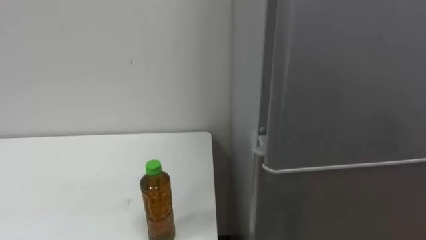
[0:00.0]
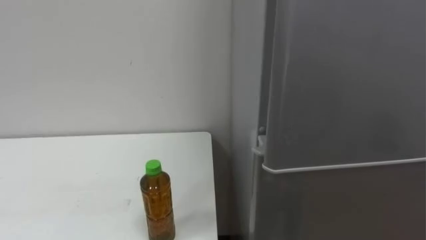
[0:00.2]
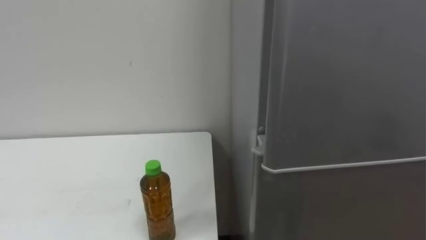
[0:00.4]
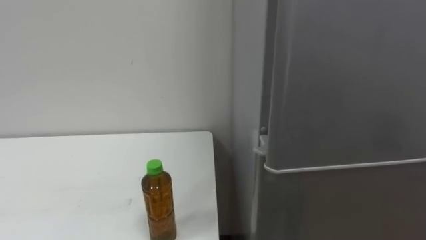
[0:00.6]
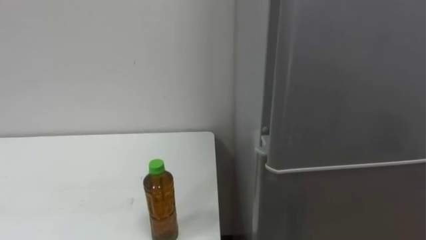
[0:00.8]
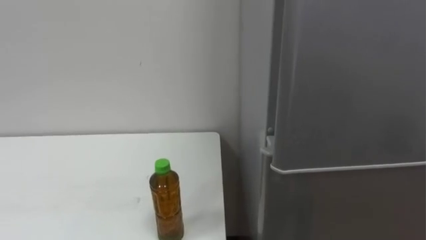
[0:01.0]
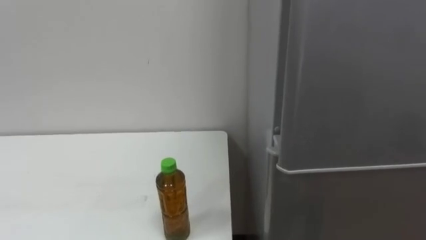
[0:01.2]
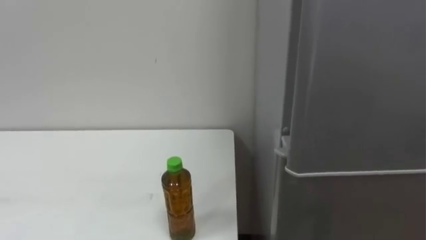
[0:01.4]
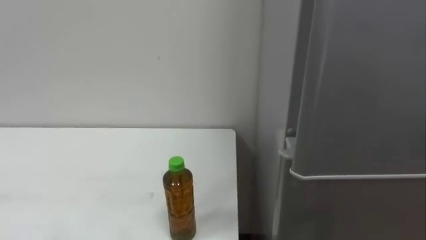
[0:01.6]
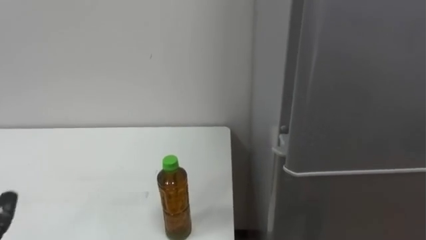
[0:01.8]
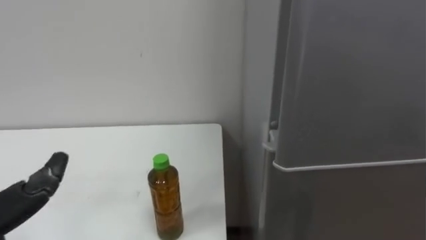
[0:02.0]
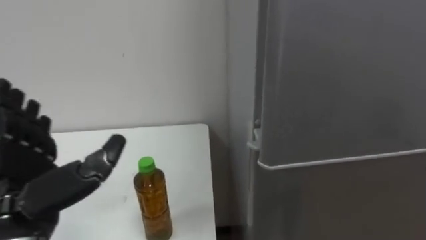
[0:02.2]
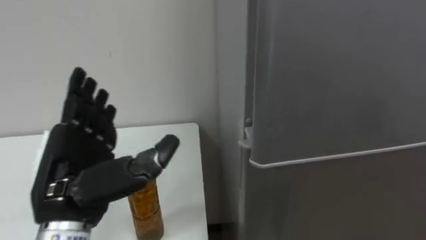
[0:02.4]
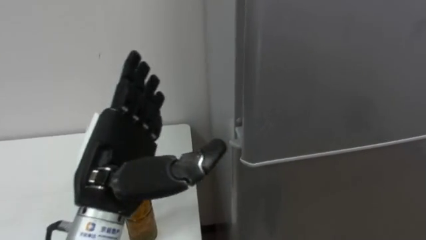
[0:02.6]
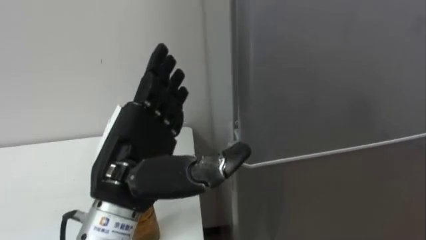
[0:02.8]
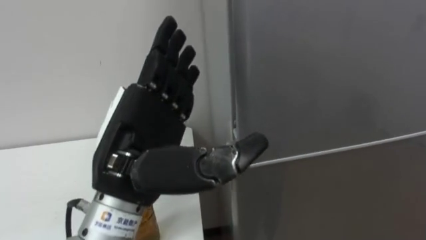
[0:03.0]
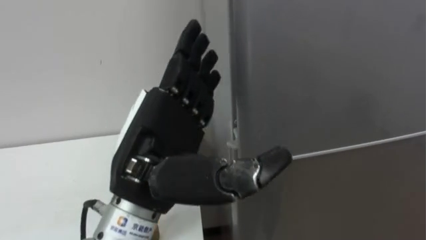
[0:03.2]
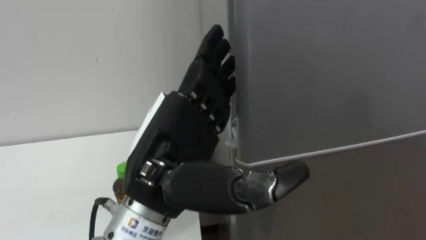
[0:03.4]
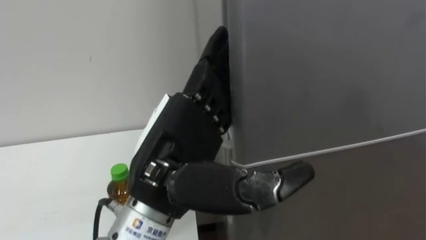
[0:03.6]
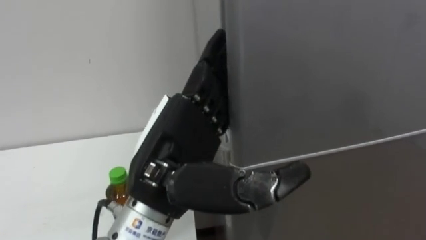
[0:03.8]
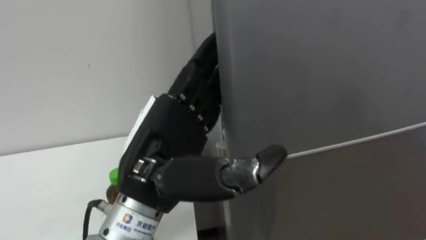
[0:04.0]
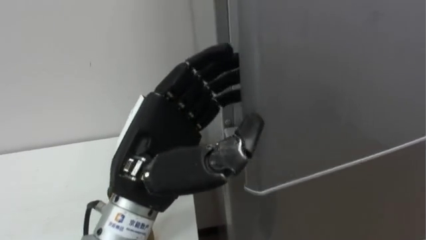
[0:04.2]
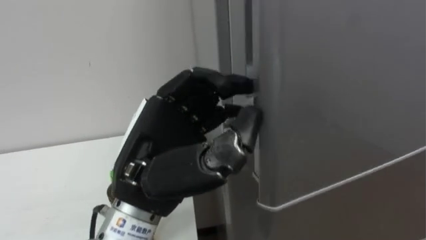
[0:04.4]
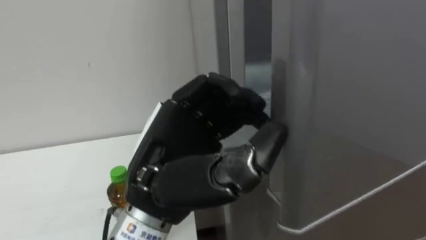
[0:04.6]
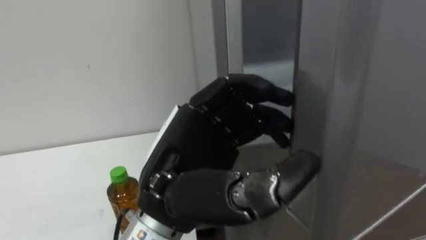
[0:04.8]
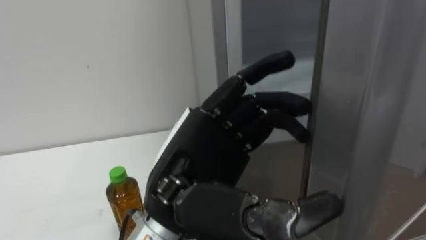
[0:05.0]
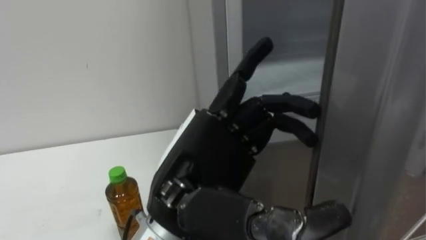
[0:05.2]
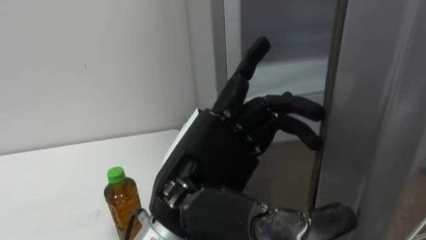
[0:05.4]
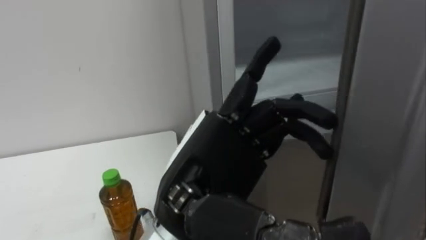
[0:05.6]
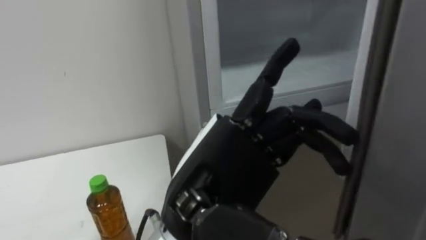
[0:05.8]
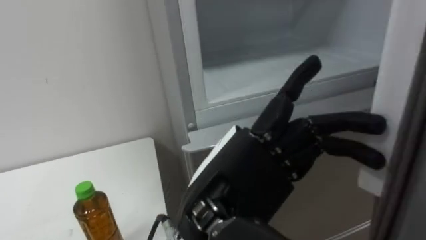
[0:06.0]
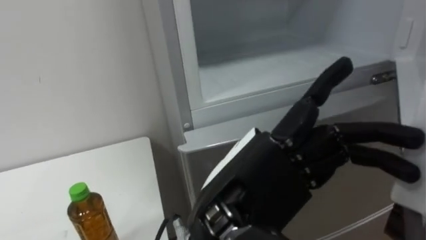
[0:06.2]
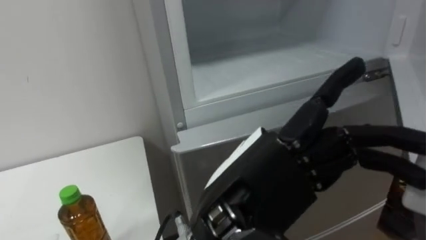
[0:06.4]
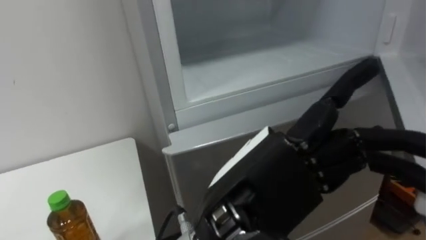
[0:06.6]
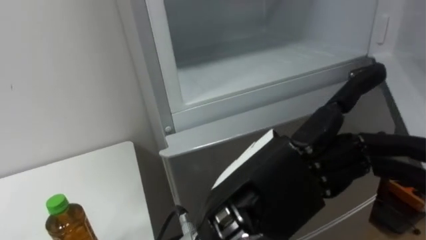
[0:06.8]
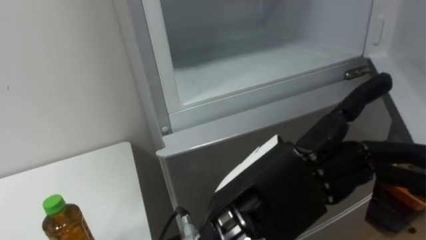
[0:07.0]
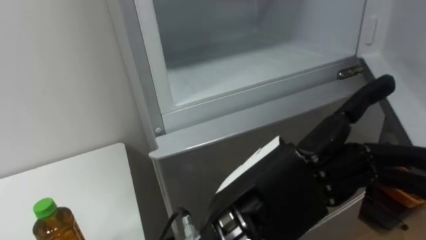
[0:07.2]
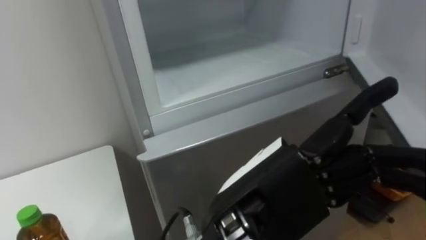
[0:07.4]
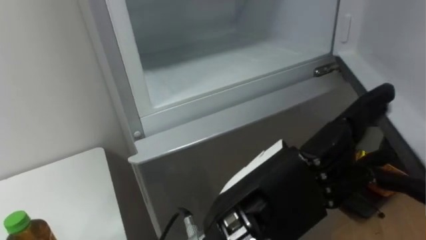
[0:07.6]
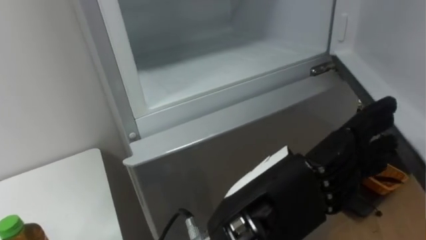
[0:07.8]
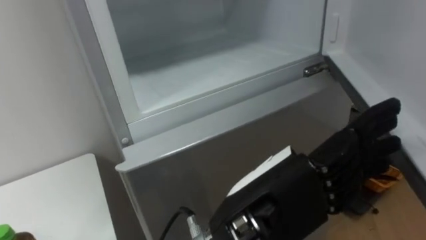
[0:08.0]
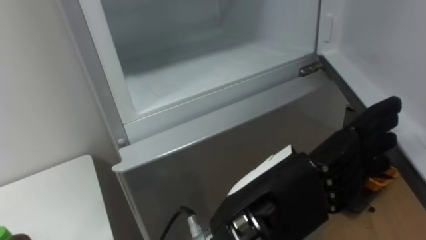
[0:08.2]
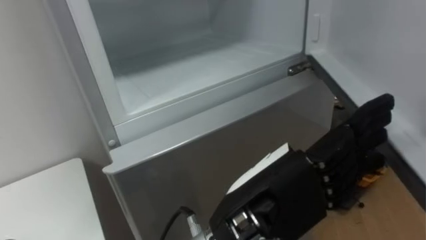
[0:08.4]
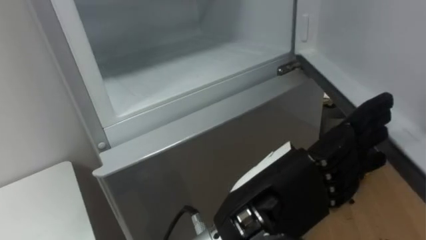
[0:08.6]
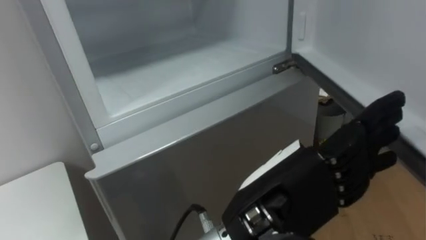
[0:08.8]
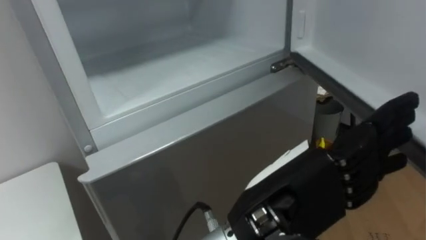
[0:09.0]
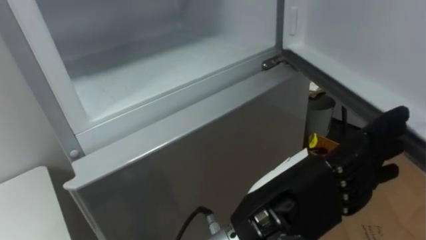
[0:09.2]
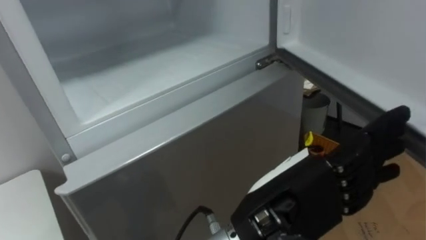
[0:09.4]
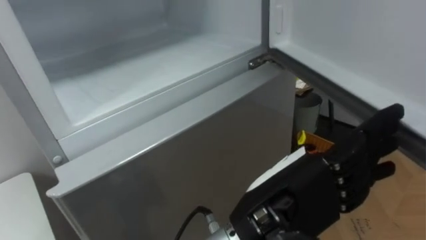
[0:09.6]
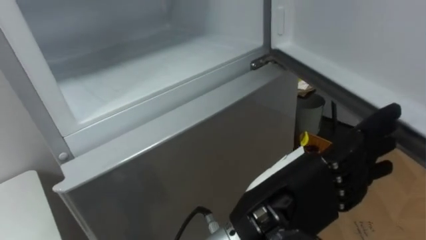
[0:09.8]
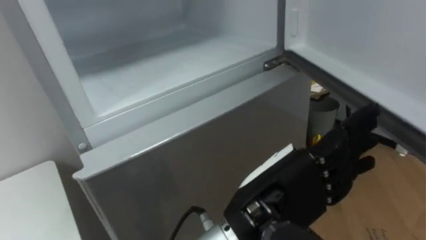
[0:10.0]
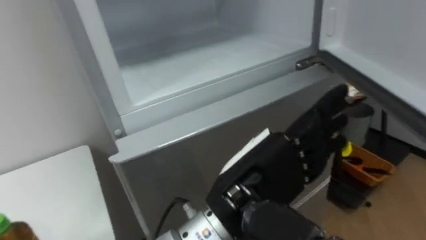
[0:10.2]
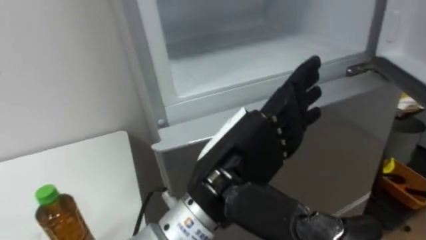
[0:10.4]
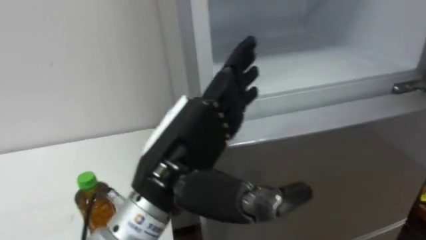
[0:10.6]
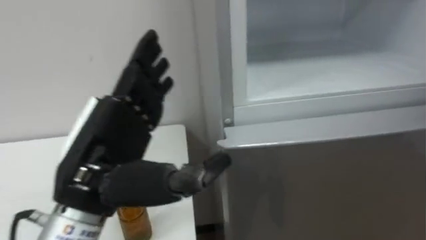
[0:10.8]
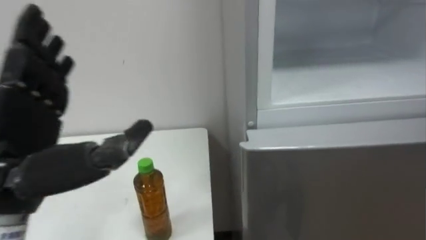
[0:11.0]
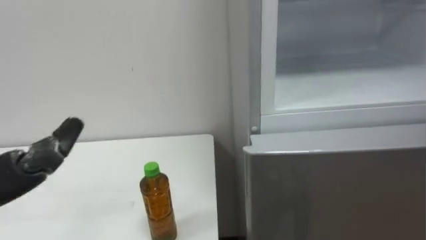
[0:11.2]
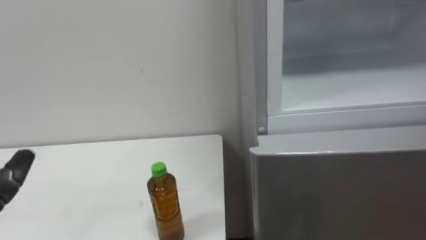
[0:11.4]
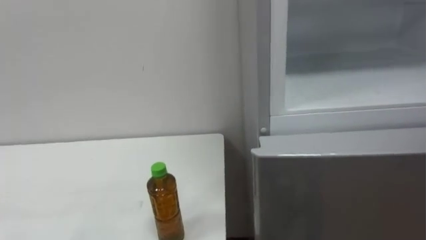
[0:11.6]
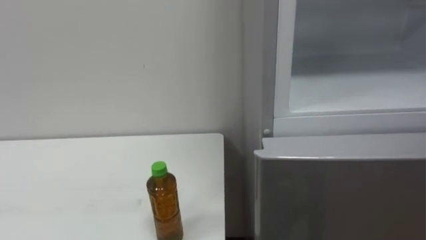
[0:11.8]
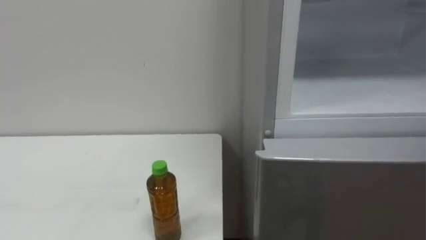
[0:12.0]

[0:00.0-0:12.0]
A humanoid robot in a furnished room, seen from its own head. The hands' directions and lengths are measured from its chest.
Task of the whole recording: Open the upper refrigerator door, put the drink from the table into the refrigerator, and then close the refrigerator door.
0:03.0 to 0:04.4: The left hand closes its fingers.
0:04.4 to 0:06.0: The left hand shifts about 5 cm to the right, and opens its fingers.
0:09.0 to 0:10.4: The left hand shifts by roughly 5 cm.

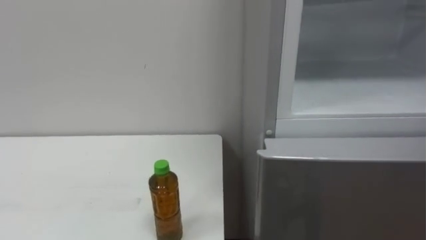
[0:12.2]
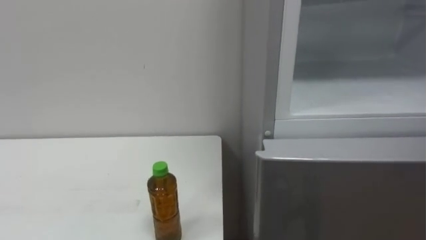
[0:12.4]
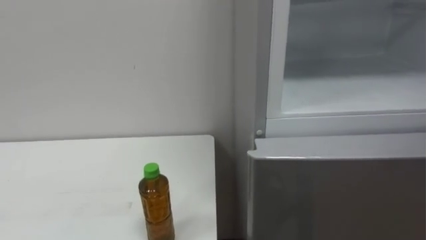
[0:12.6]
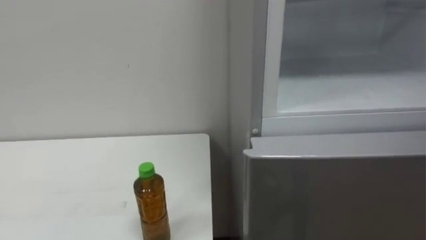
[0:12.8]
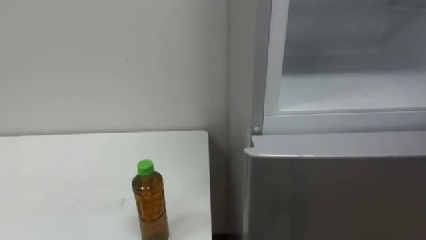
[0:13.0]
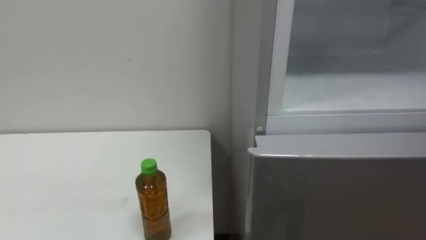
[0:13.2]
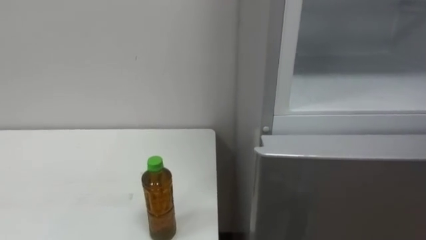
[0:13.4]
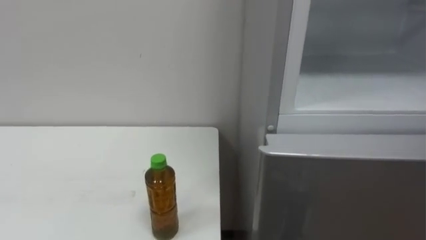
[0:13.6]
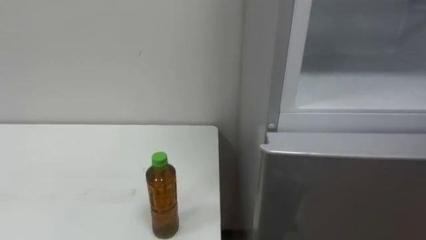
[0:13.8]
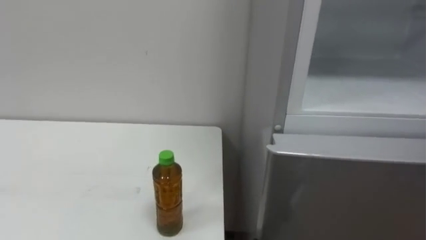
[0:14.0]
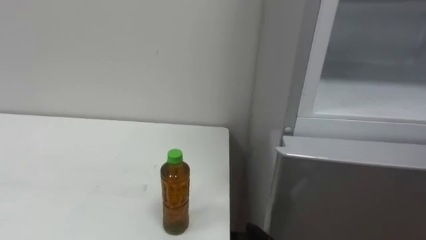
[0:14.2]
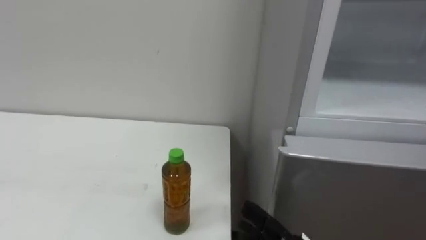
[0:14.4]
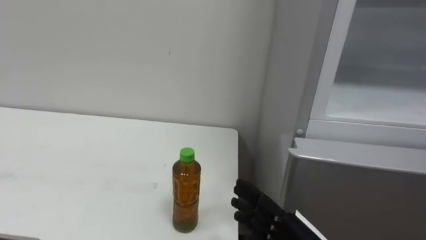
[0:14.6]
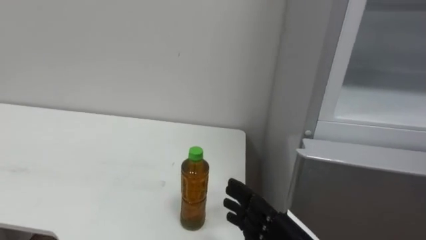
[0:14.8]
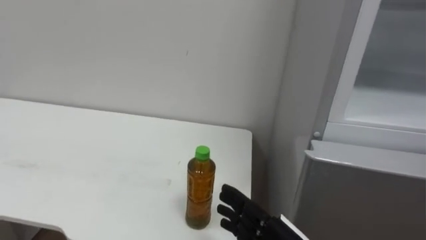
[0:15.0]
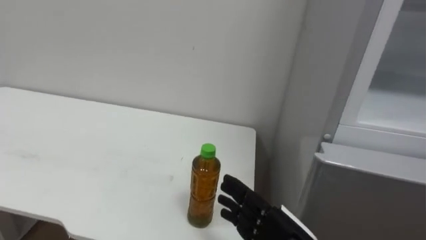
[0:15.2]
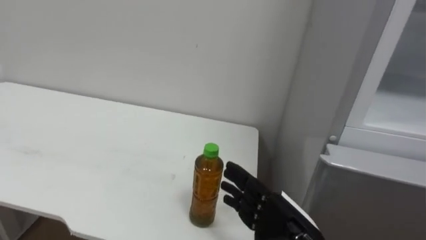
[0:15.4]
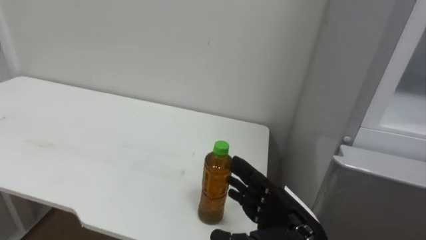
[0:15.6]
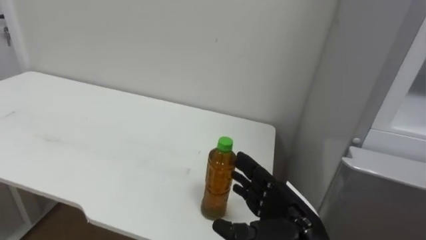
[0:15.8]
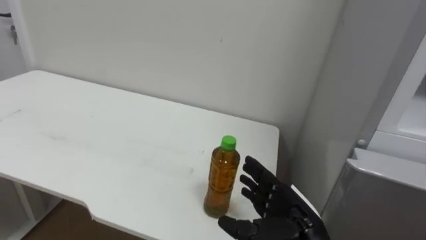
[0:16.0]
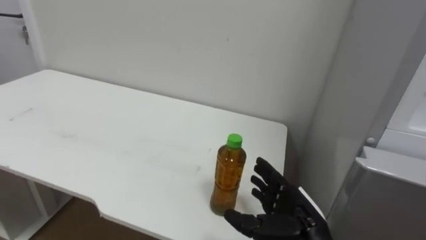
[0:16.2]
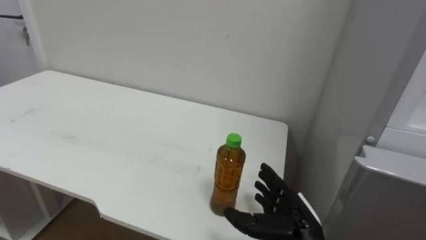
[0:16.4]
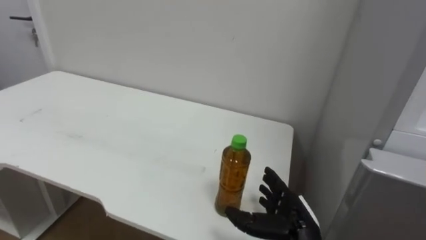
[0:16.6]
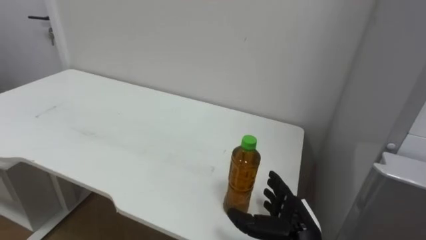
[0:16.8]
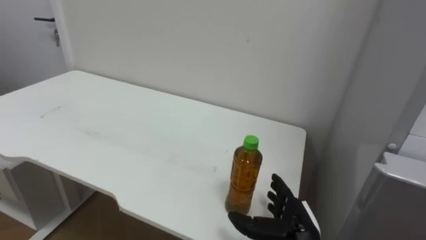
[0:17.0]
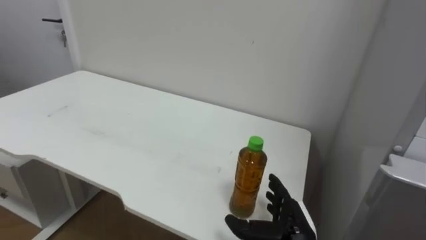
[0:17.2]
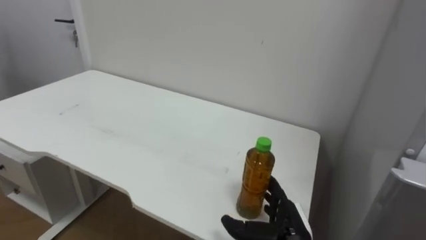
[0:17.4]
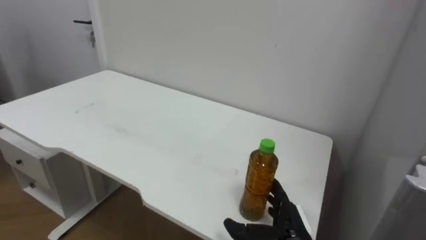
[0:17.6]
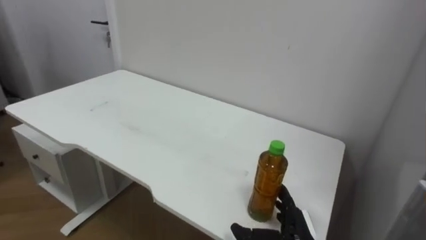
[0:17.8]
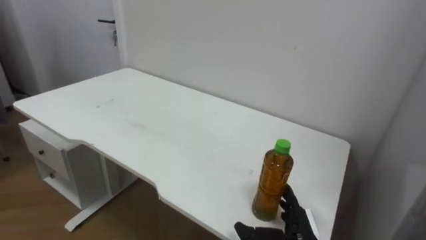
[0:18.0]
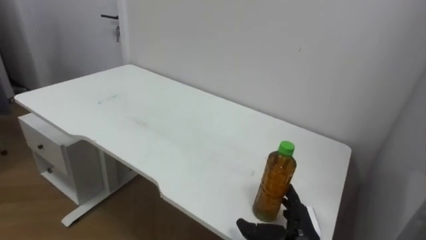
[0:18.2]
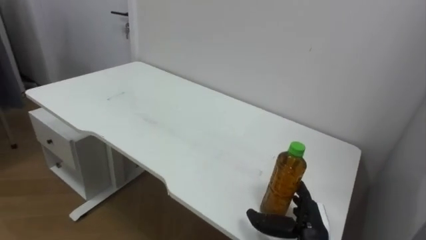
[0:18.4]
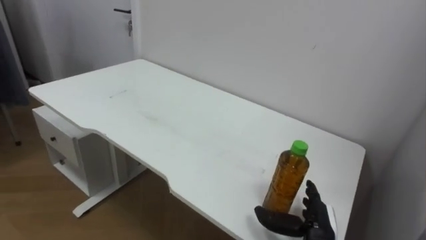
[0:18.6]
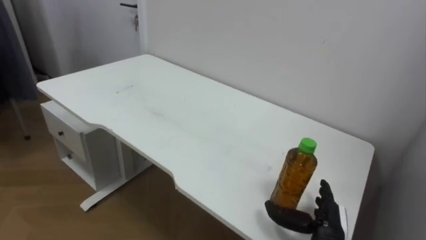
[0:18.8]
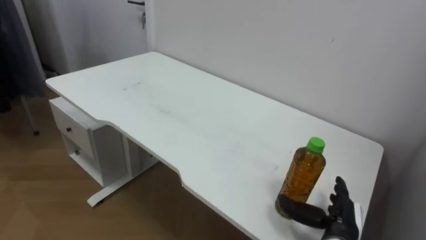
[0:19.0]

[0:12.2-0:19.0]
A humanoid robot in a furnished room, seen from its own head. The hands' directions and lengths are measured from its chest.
Task of the whole recording: Open the upper refrigerator door, put the drink from the table into the refrigerator, and then close the refrigerator door.
0:17.6 to 0:19.0: The right hand travels to the right by about 10 cm.
